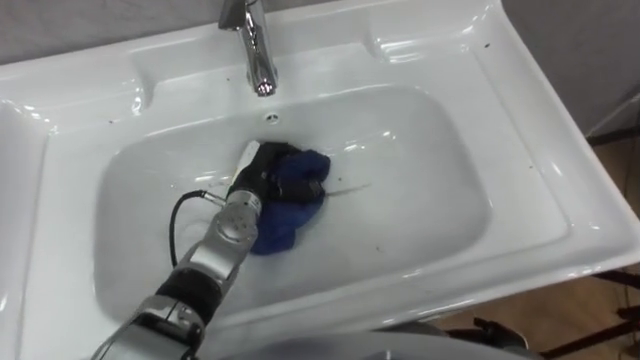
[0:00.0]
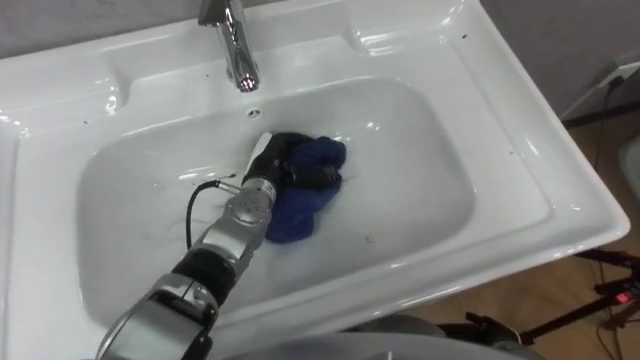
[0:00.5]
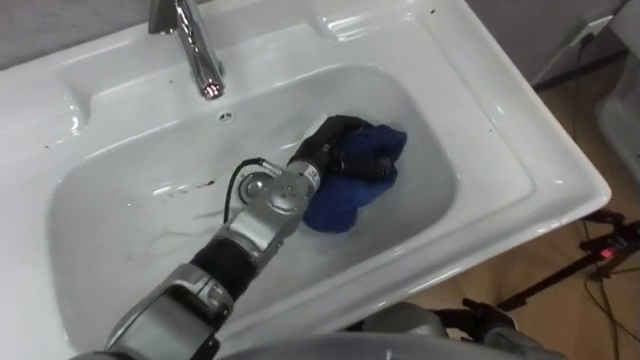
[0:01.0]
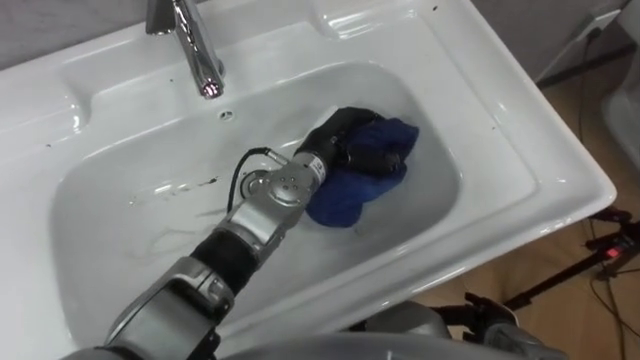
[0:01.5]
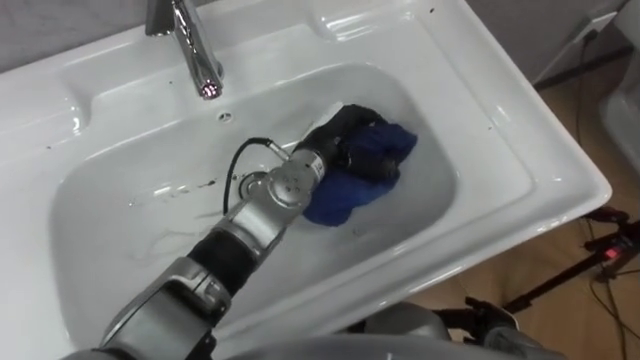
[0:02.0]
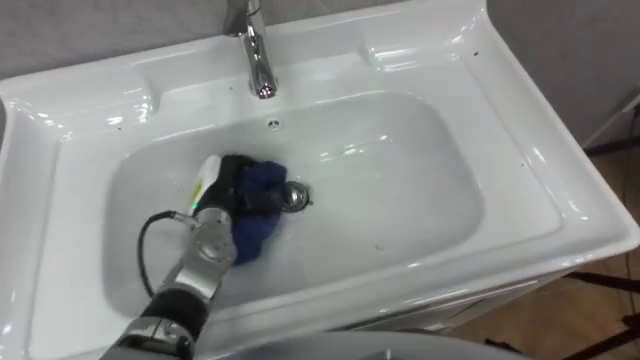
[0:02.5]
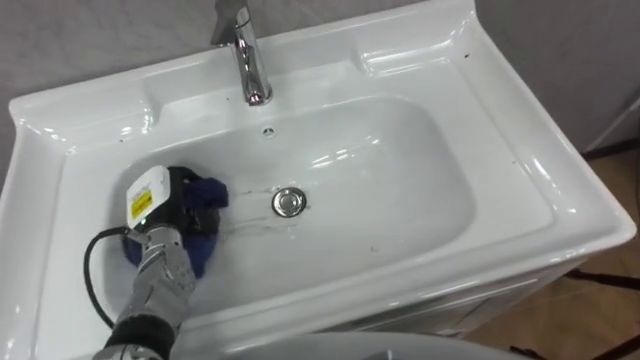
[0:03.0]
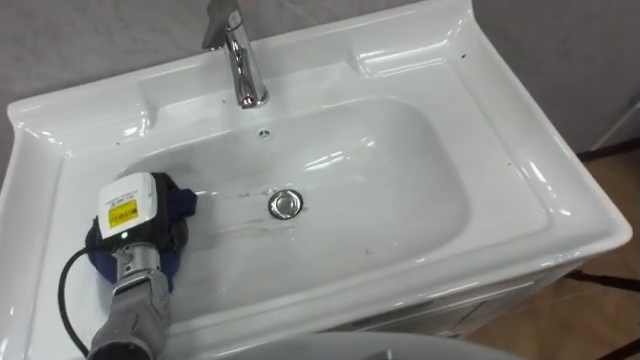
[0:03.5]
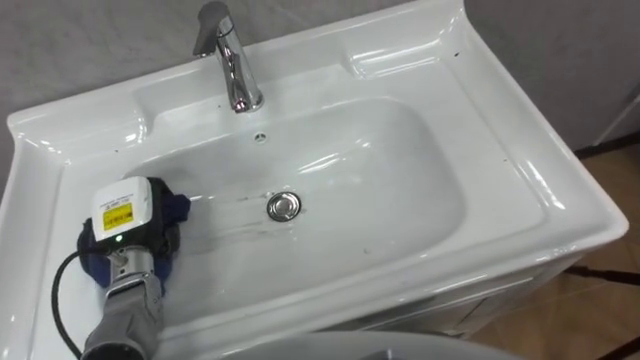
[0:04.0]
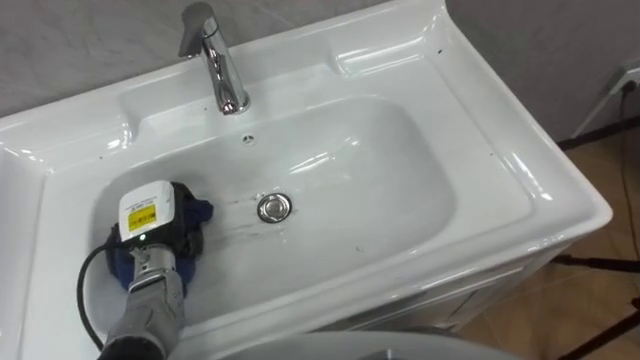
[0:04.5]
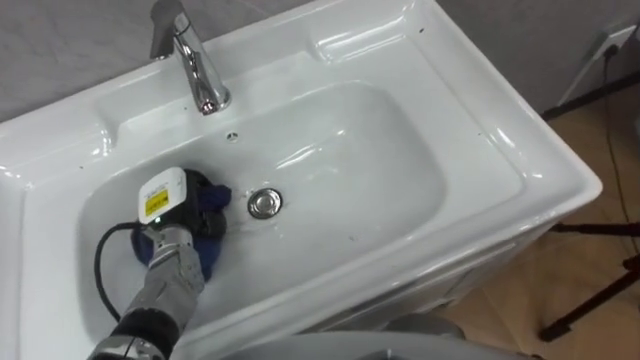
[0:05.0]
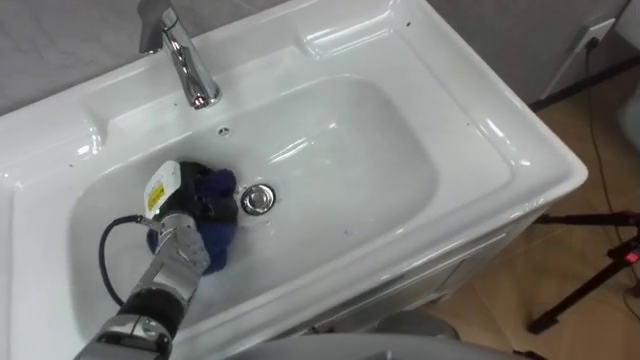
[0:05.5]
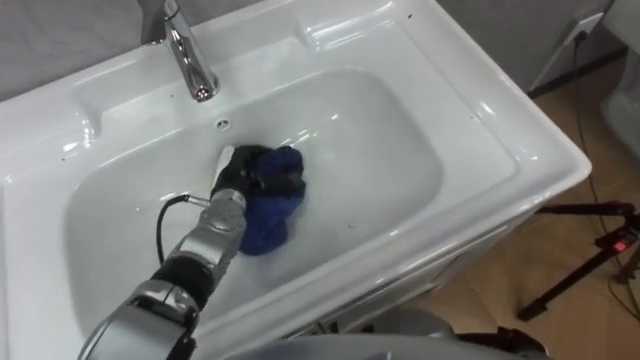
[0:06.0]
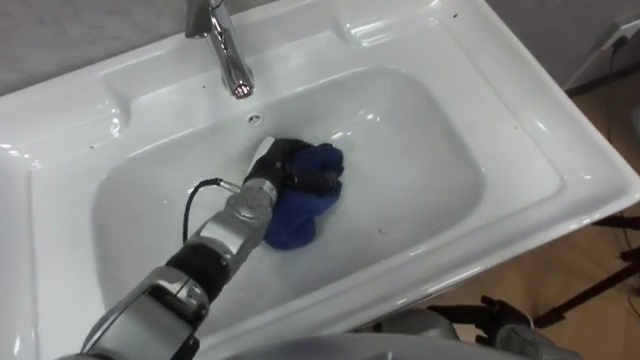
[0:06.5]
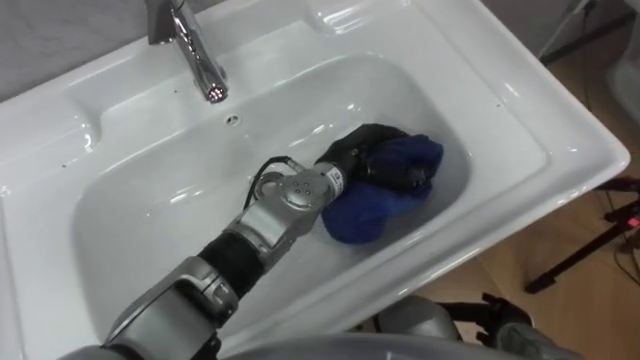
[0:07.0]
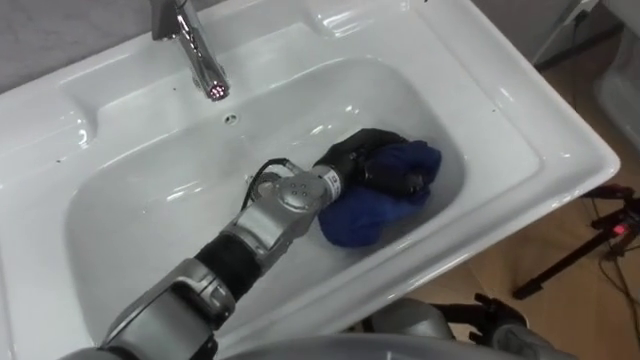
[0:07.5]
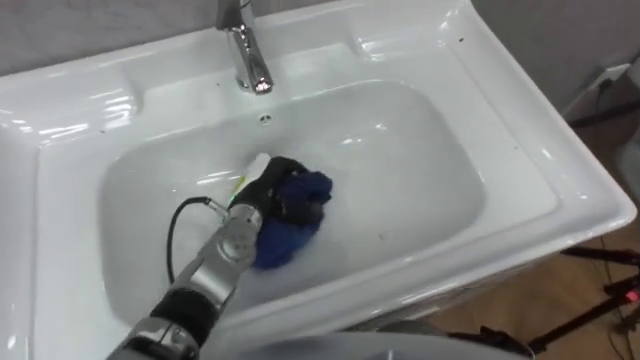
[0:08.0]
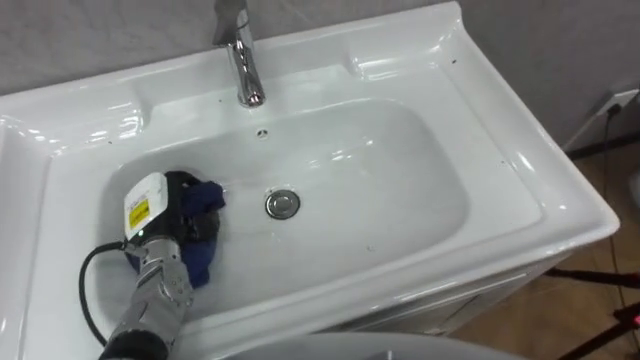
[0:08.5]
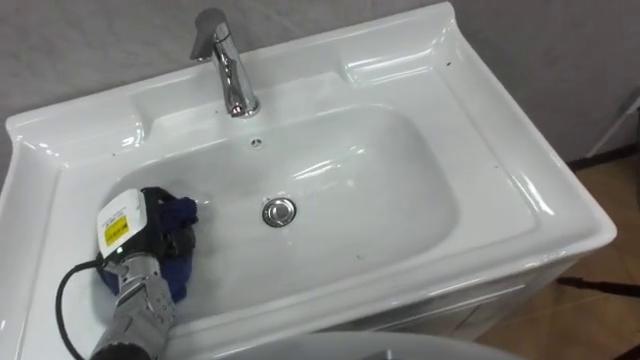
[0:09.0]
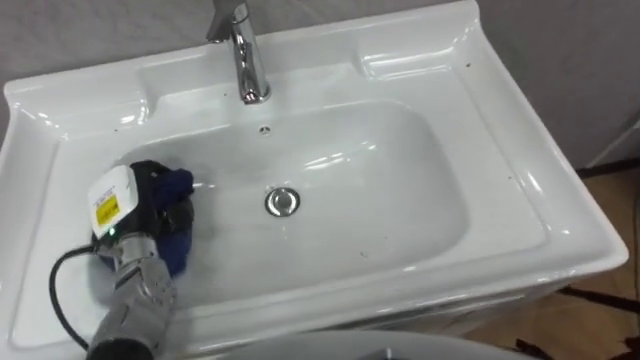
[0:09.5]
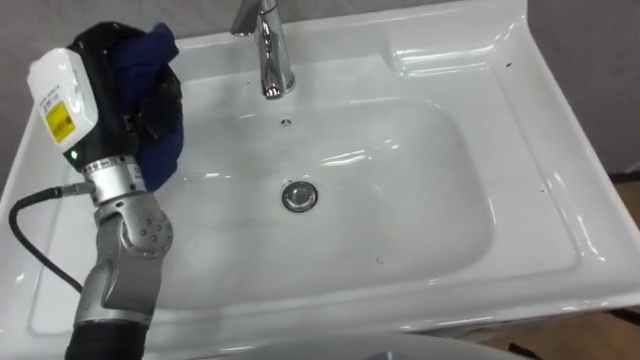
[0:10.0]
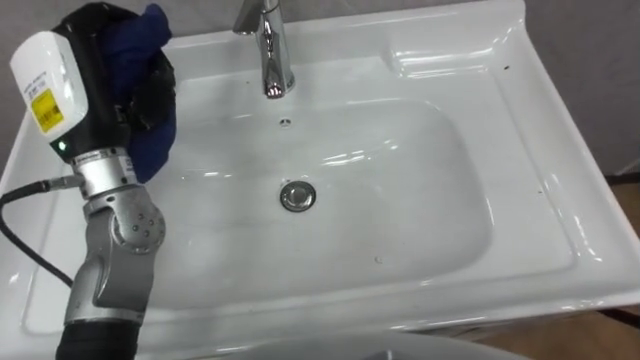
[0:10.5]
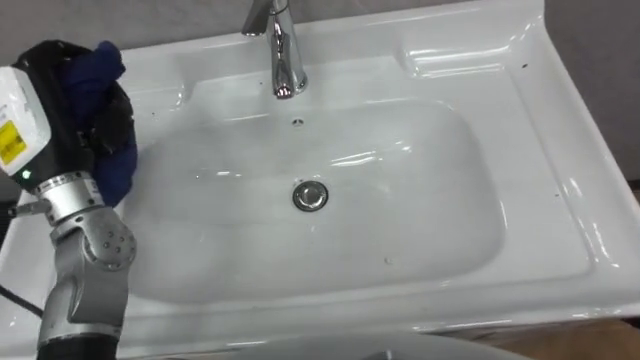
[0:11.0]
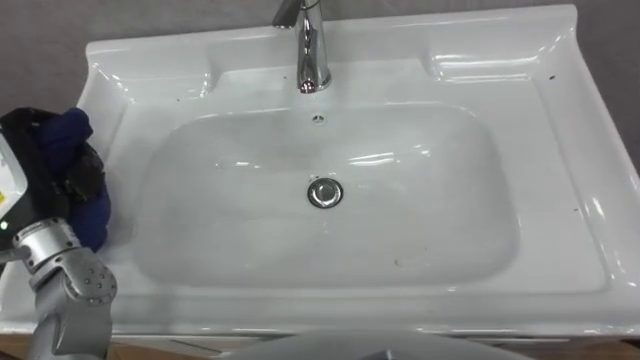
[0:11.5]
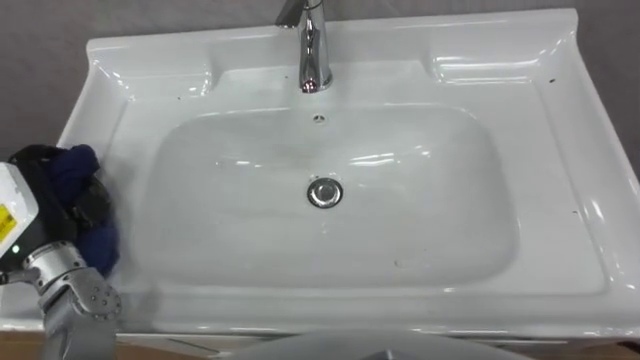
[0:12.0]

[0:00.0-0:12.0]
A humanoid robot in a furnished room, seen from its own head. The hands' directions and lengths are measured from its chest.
Task of the whole recording: Use the cloth on the right to wipe away the black stain in the sink.
0.0 to 2.0 s: The left hand is displaced to the right and upward by about 15 cm.
2.0 to 4.0 s: The left hand travels to the left by about 30 cm.
4.0 to 6.0 s: The left hand travels to the right and forward by some 15 cm.
6.0 to 8.0 s: The left hand goes to the right and returns, about 15 cm each way.
8.0 to 10.0 s: The left hand is displaced upward and to the left by approximately 25 cm.

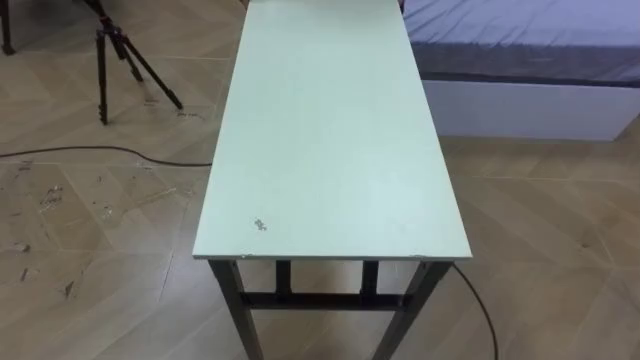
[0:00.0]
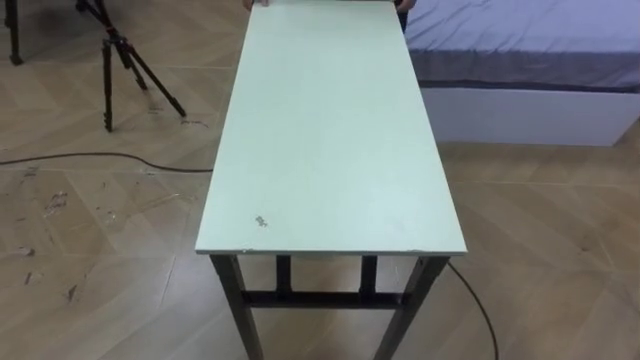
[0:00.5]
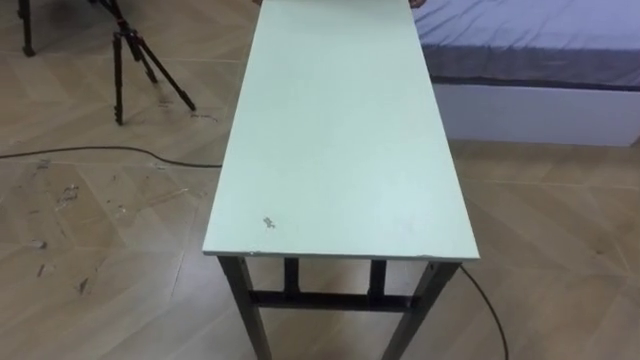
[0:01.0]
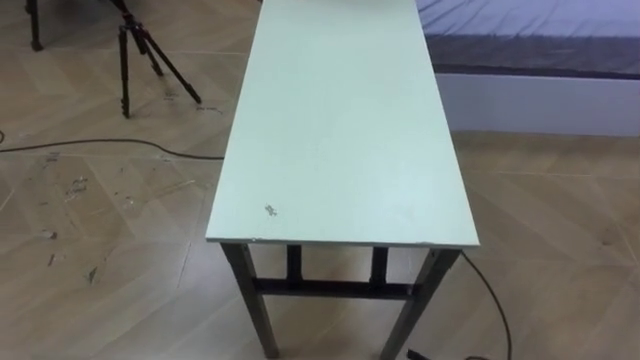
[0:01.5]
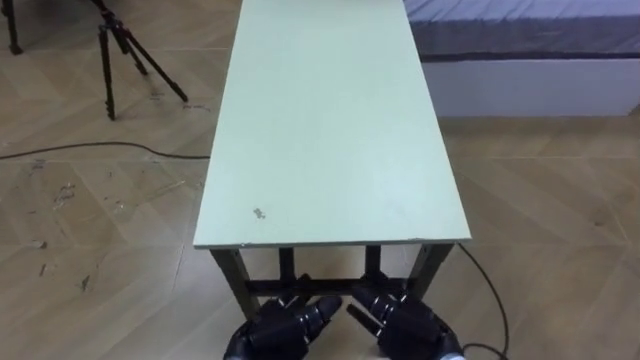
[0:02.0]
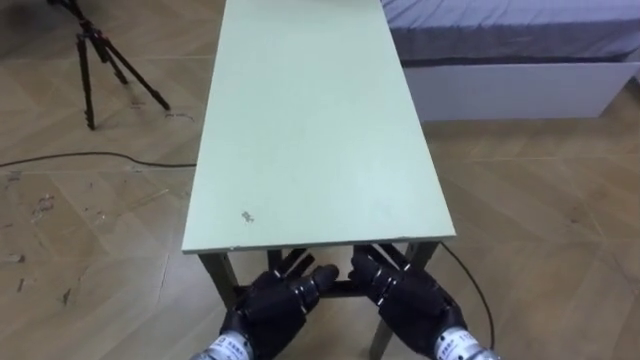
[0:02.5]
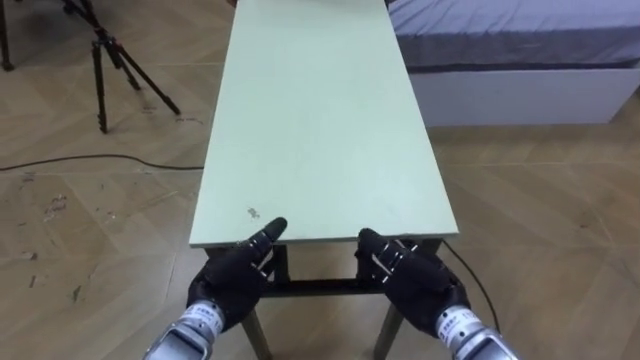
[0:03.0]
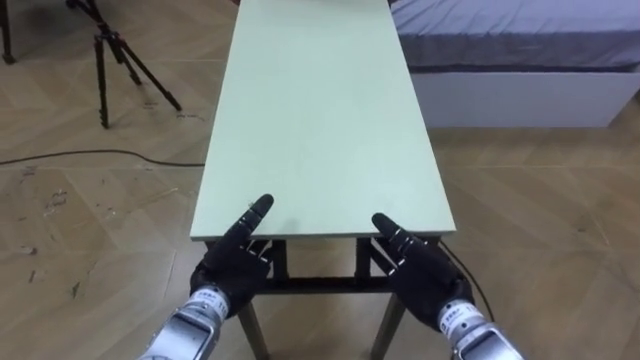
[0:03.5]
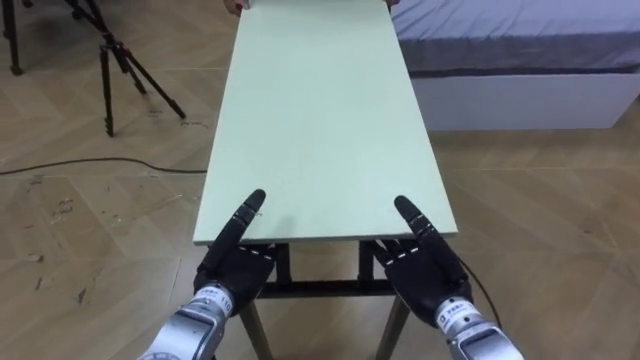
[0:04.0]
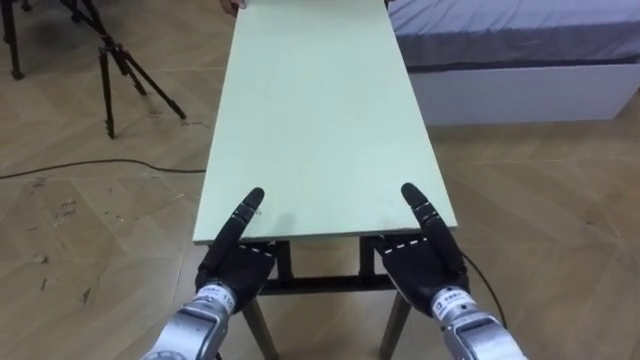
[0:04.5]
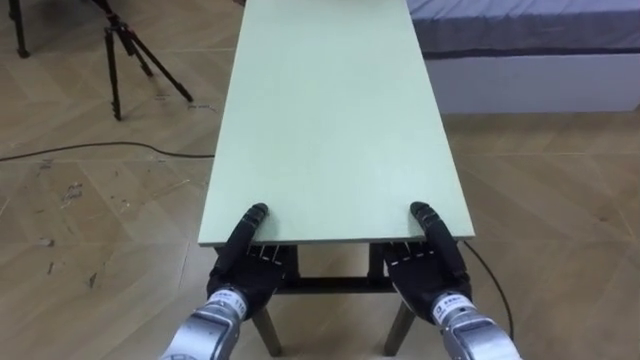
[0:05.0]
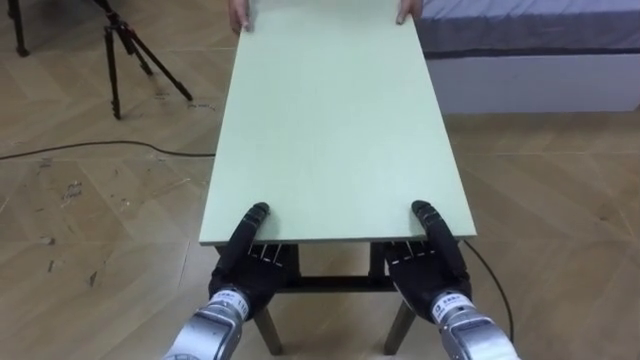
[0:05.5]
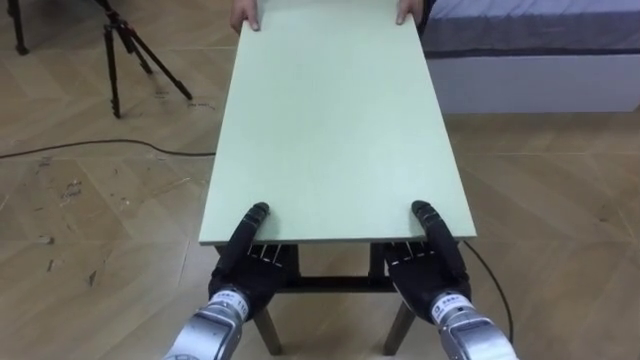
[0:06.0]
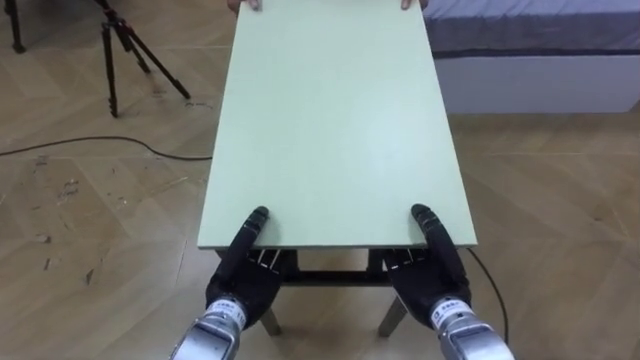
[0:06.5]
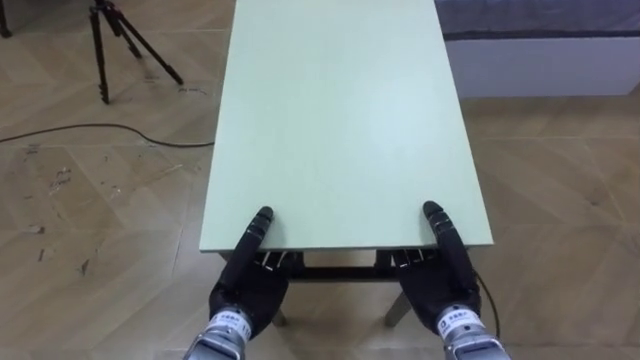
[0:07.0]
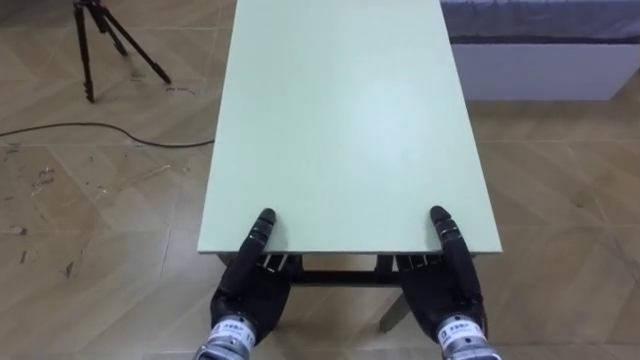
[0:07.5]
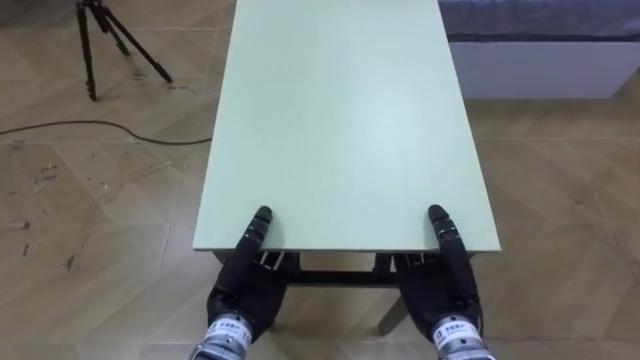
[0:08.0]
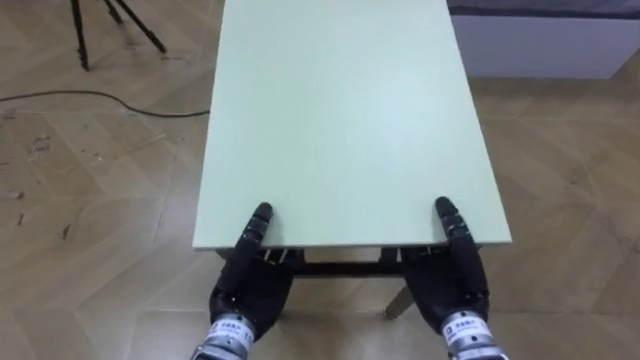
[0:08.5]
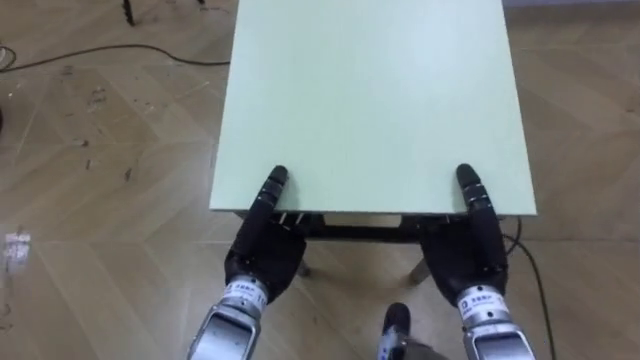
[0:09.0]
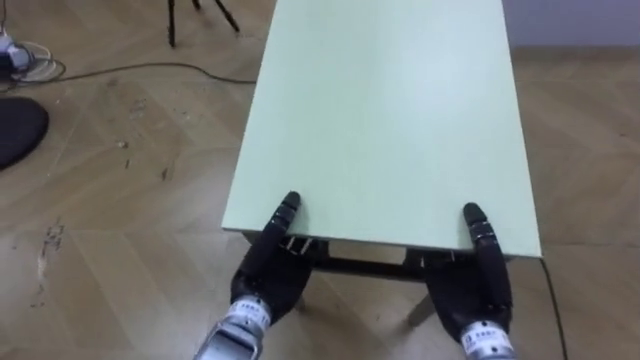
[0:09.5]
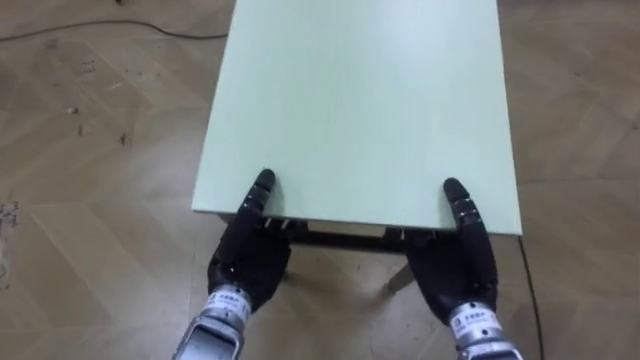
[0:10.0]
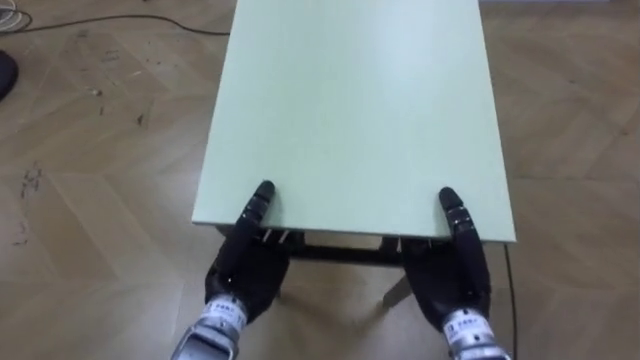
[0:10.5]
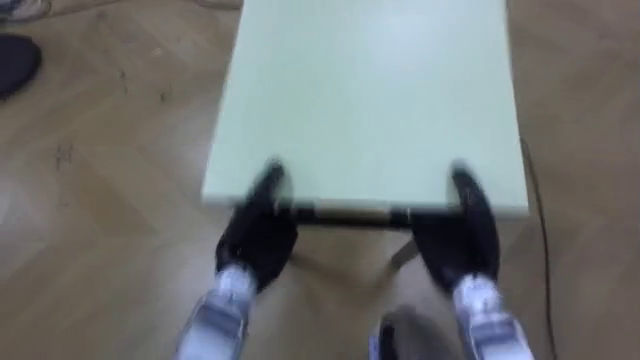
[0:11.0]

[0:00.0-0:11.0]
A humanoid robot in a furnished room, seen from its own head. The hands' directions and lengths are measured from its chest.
Task of the whole recording: Move the table to the back left with someone.
2.0 to 3.5 s: The right hand moves upward and forward, approximately 10 cm; the left hand travels forward and to the left by some 10 cm.
3.5 to 5.5 s: The right hand closes up, while the left hand closes its fingers.
7.5 to 9.0 s: The left hand changes place by roughly 5 cm; the right hand ends up roughly 5 cm from where it was.
